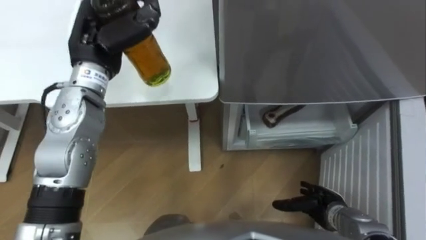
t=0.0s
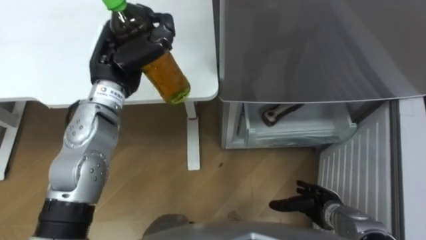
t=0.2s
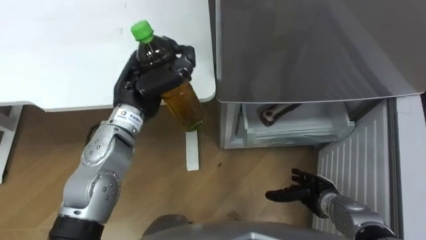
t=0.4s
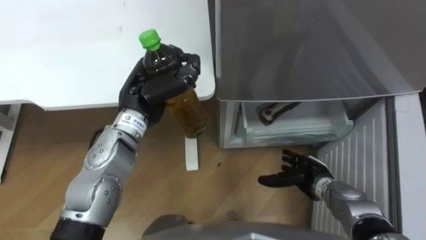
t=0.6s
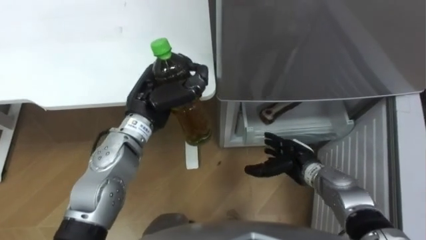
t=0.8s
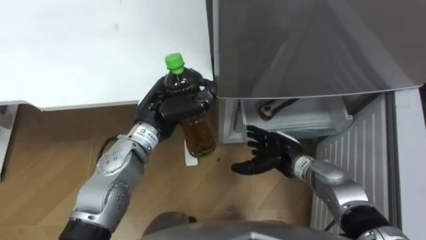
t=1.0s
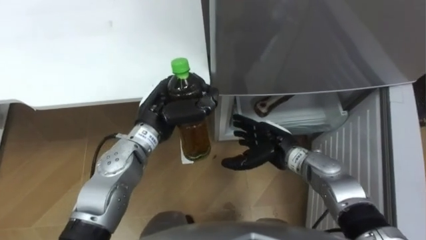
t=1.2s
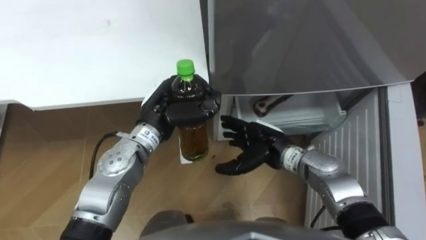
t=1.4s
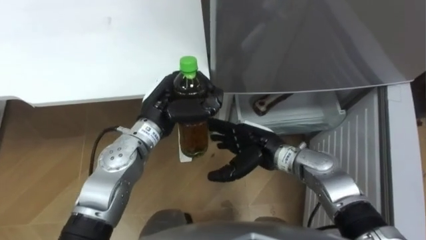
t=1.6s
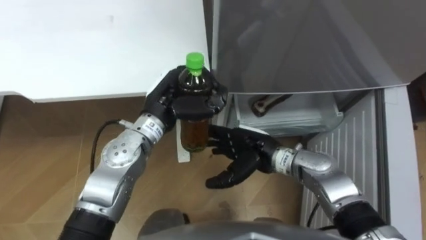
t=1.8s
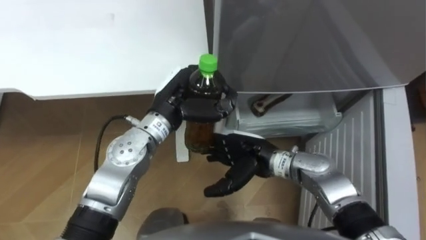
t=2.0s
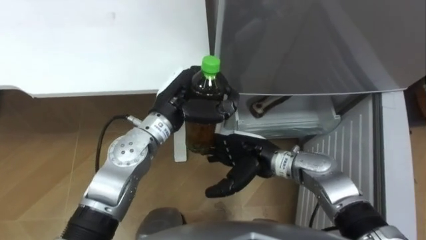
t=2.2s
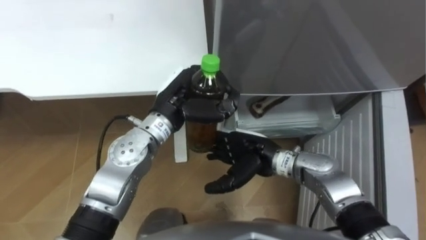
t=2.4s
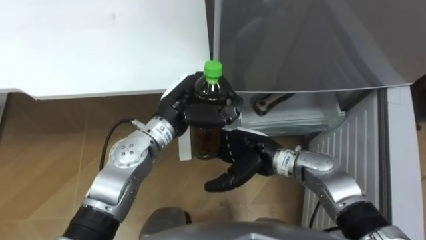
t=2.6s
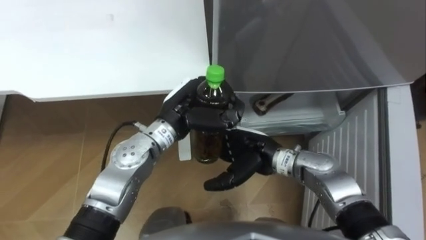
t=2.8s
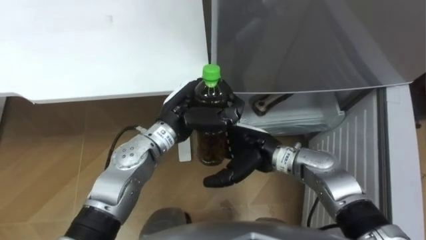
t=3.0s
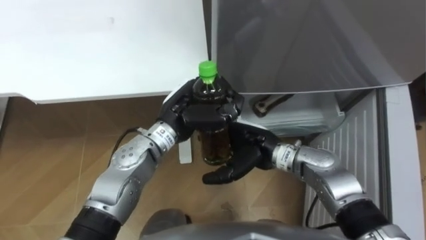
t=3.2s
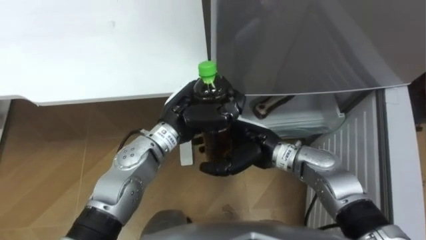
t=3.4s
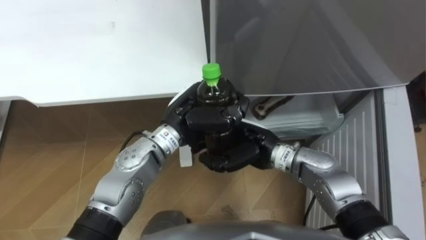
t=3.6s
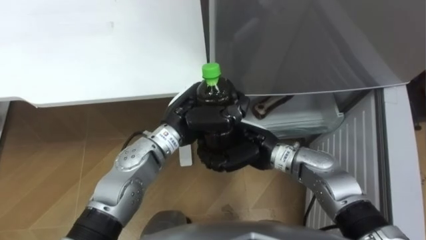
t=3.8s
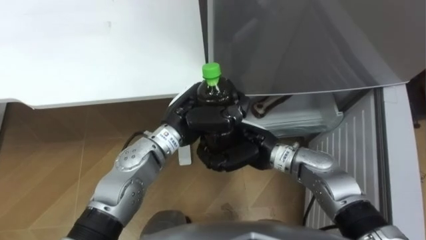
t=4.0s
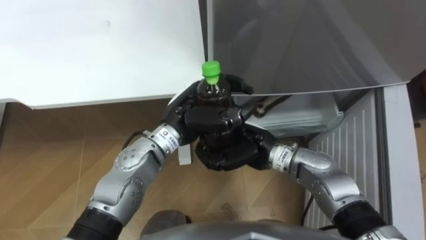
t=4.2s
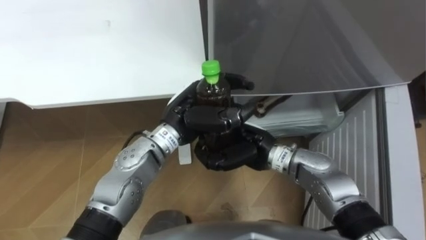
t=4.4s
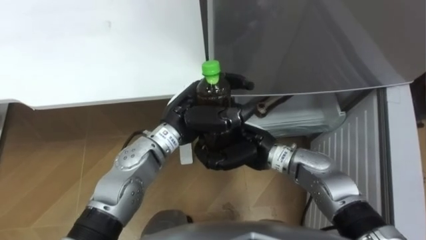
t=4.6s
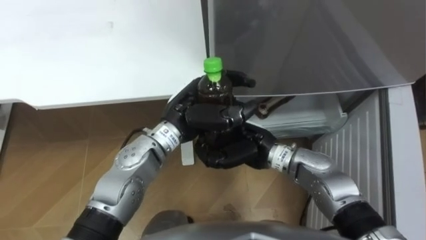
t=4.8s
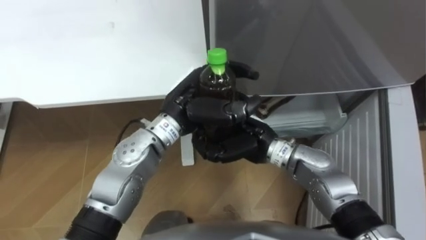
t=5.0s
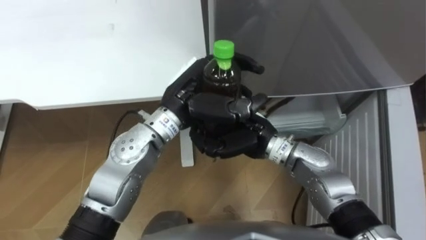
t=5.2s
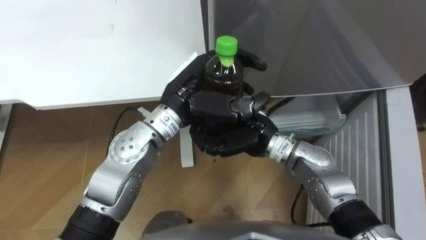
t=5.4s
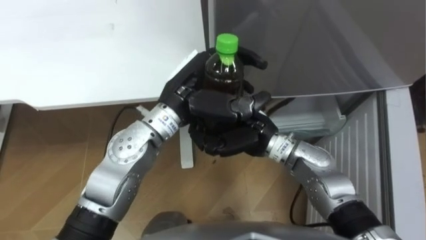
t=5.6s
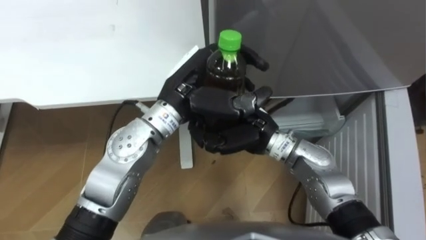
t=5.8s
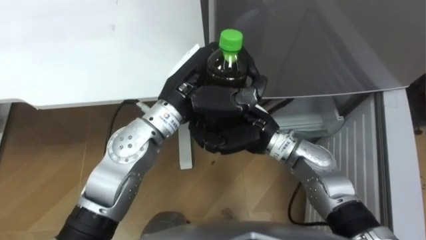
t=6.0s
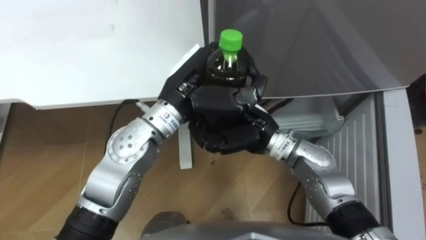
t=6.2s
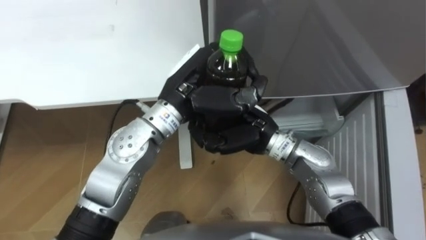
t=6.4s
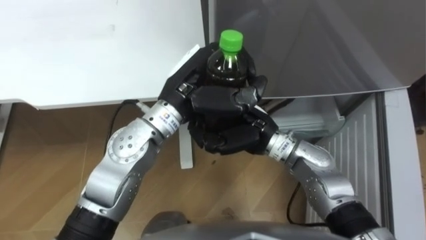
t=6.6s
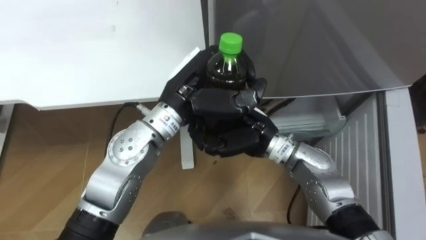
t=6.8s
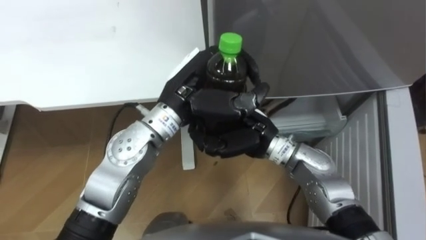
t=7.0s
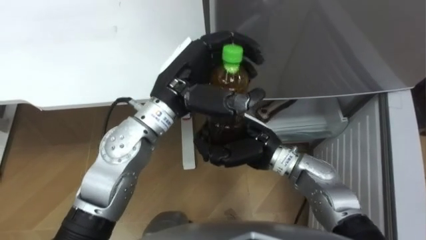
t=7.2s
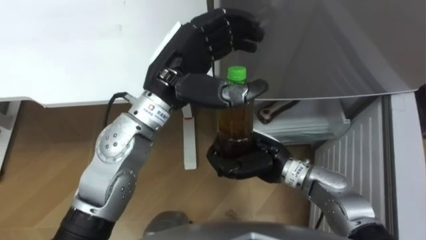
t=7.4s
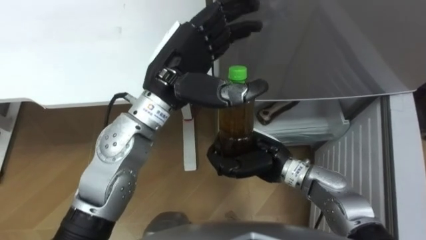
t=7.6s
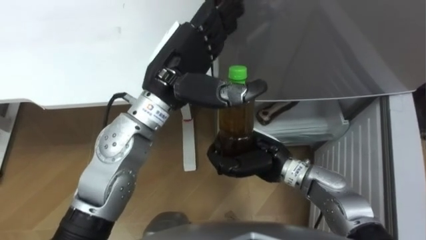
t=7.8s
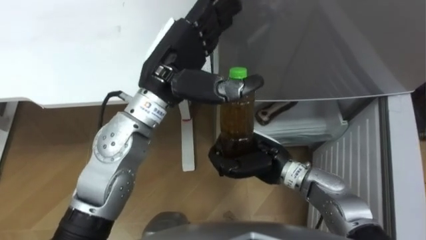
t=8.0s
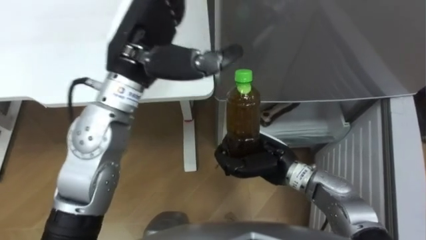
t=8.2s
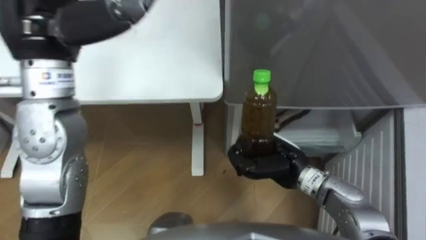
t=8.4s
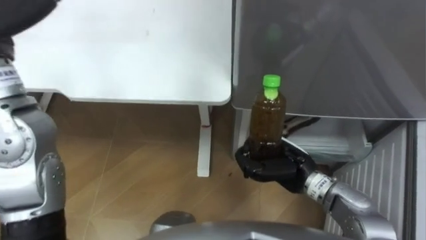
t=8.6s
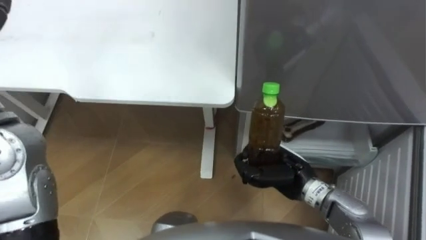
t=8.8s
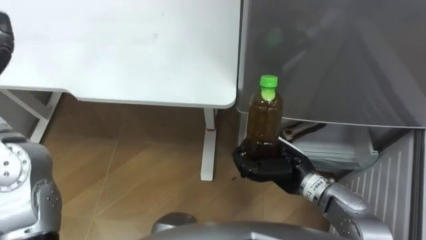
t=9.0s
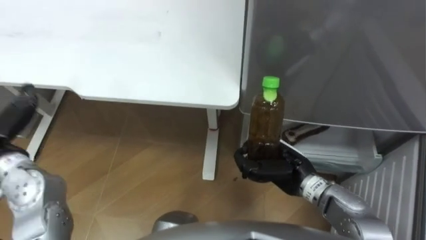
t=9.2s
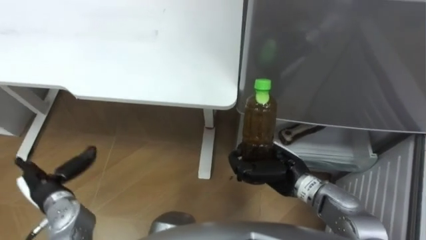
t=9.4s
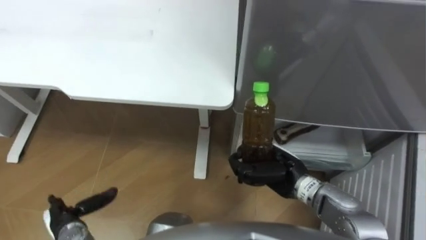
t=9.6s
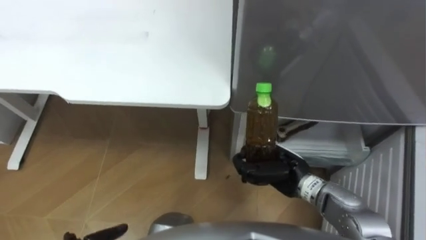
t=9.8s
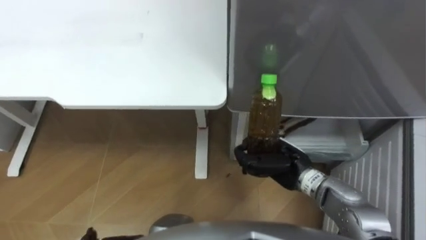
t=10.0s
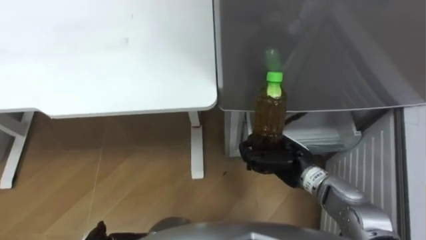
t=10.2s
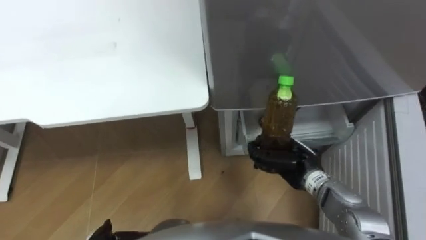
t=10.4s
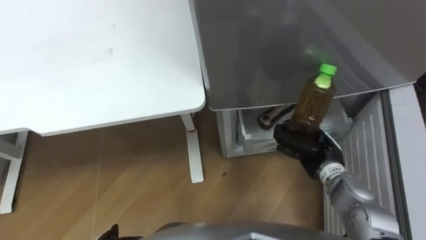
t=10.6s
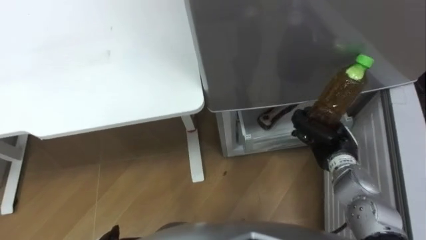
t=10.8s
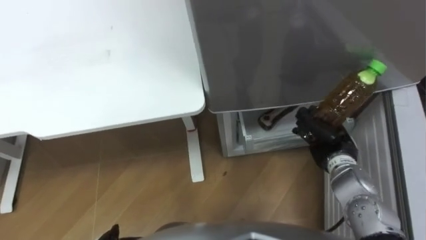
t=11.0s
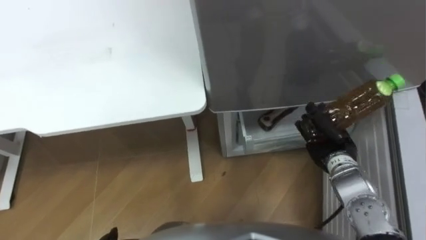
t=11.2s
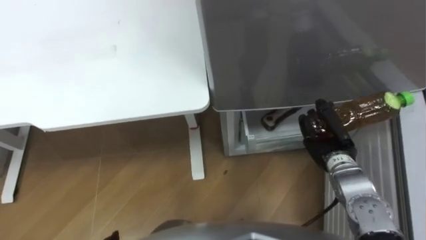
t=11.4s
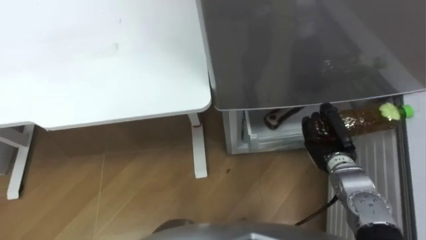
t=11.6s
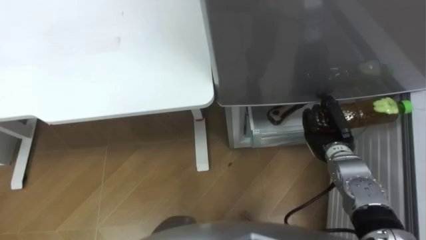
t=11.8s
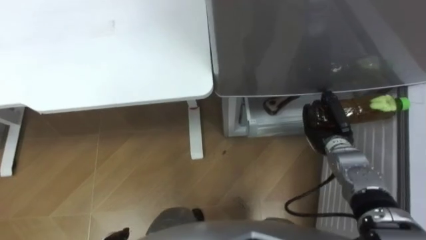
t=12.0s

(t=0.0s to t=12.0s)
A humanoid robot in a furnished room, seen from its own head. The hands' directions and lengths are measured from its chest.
Task of the whole recording: Place the drink on the table on the bottom shelf of the refrigerator, then close the drawer and the refrigerator door.
t=0.0s - t=1.6s: The right hand shifts some 25 cm to the left, upward and forward; the left hand moves downward, to the right and backward, approximately 15 cm.
t=1.6s - t=3.0s: The hands stay close to where they were, moving slightly.
t=3.0s - t=4.4s: The right hand closes.
t=4.4s - t=6.0s: The left hand is displaced upward by some 10 cm. The right hand changes place by some 5 cm.
t=6.0s - t=7.6s: The left hand opens up. The right hand goes some 5 cm downward.
t=7.6s - t=9.0s: The right hand goes roughly 5 cm to the right.
t=10.4s - t=12.0s: The right hand moves to the right and forward, some 10 cm.

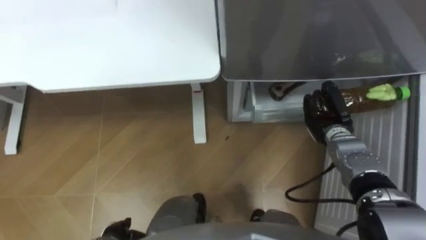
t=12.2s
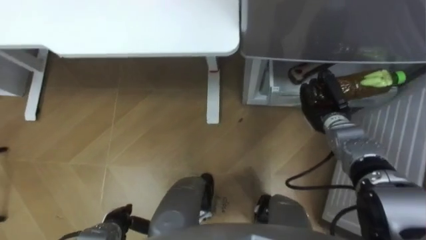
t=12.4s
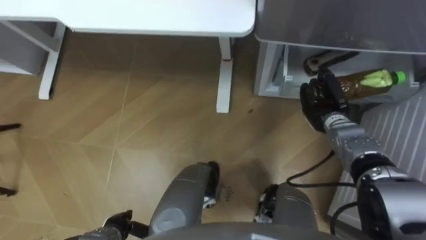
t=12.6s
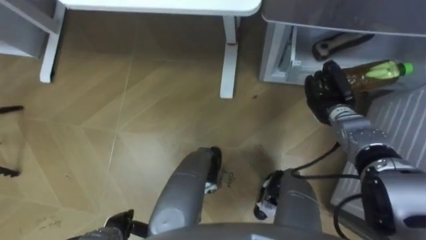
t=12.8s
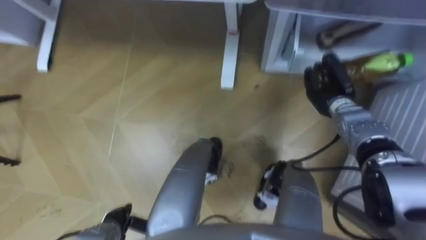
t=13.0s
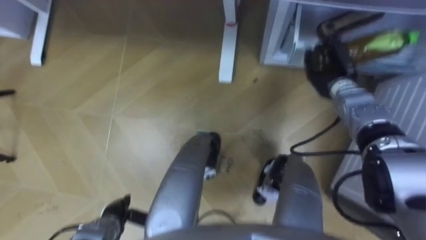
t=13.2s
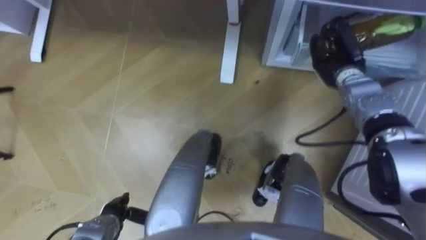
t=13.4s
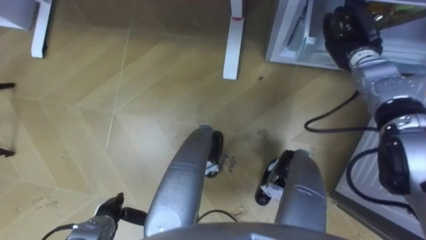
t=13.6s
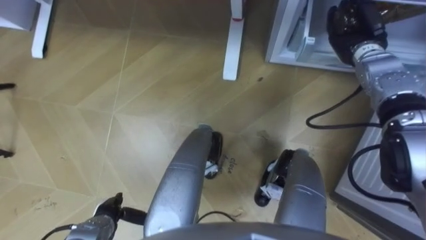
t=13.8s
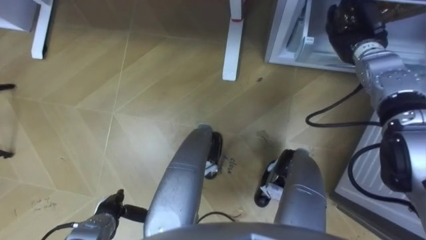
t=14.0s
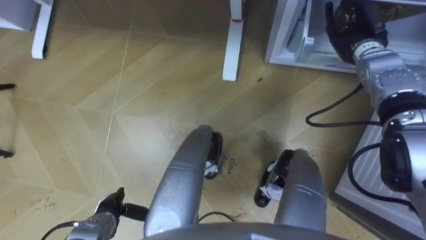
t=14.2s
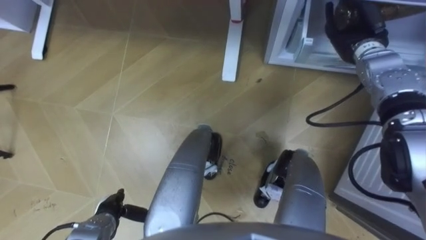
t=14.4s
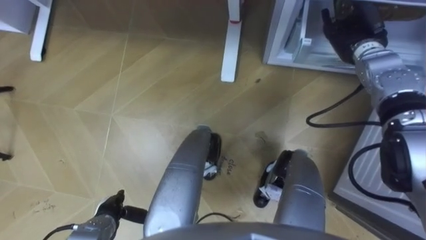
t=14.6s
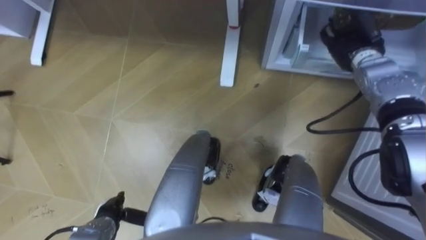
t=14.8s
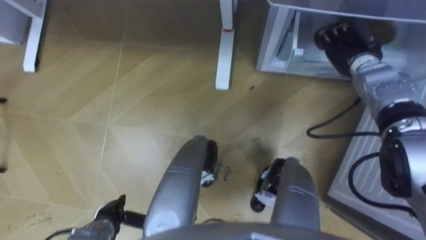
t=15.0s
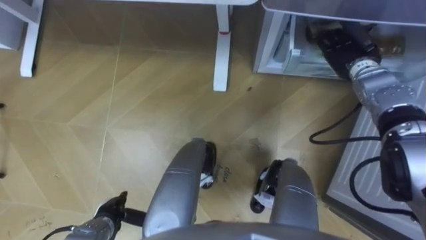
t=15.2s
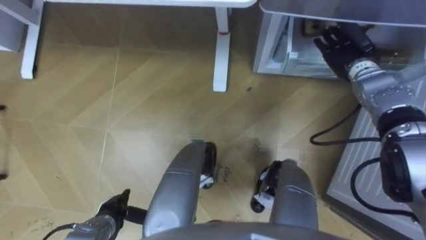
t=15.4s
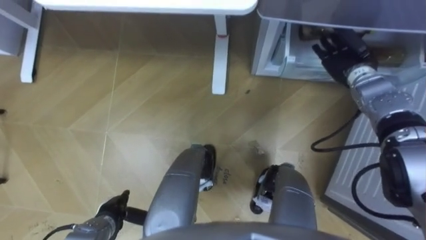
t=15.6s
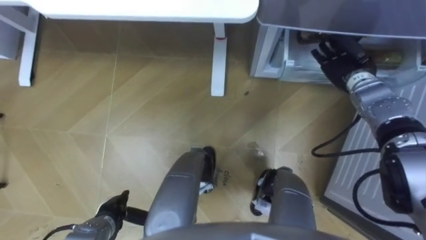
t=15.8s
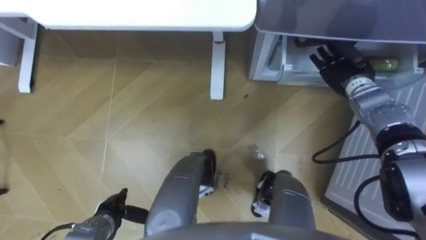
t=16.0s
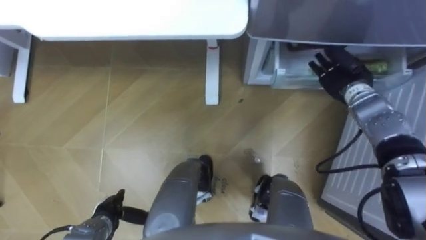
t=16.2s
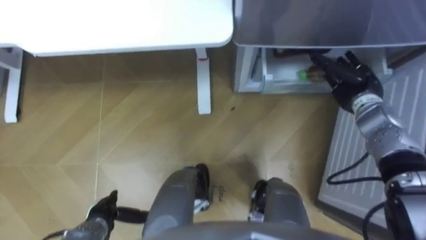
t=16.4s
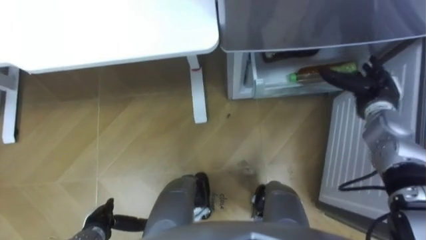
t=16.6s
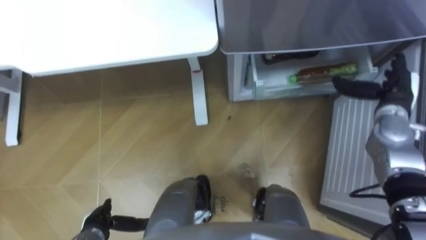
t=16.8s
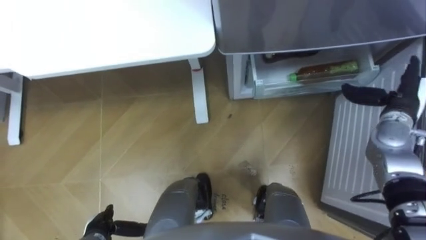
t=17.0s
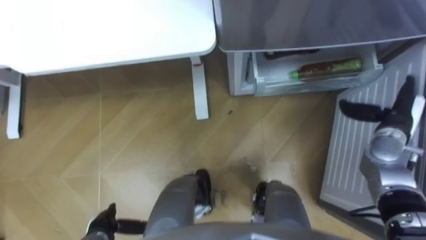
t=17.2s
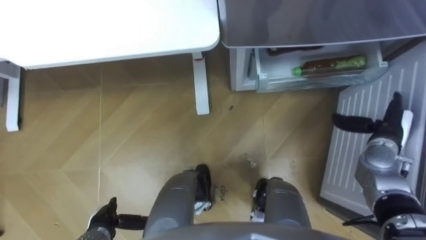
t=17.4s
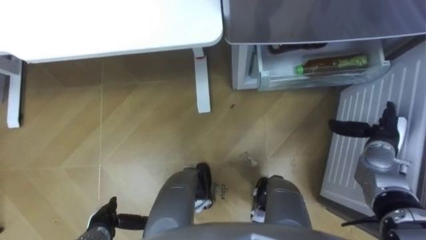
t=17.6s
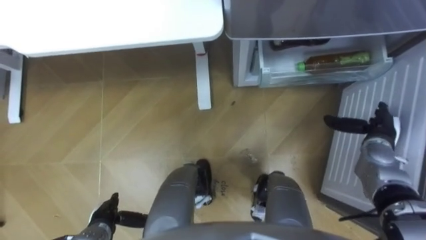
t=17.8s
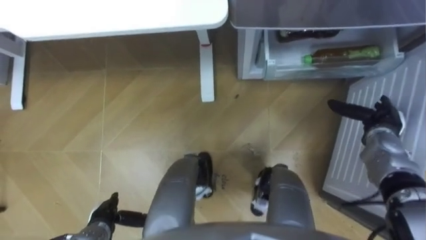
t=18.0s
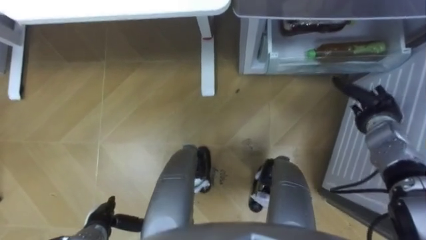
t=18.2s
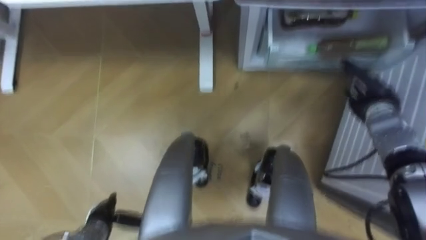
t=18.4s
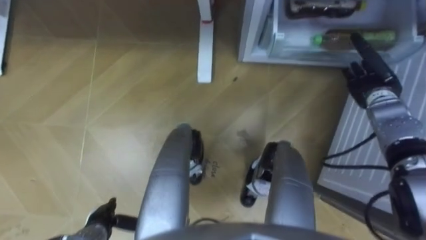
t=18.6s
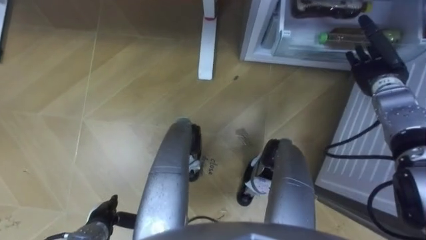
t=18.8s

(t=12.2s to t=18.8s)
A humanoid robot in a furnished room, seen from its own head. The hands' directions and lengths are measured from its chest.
Task of the whole recording: Place the drink on the table on the bottom shelf of the refrigerator, then close the drawer and the refrigerator door.
t=12.2s - t=13.8s: The right hand moves upward and forward, about 20 cm.
t=13.8s - t=15.4s: The right hand opens.
t=15.4s - t=17.2s: The right hand moves backward and to the right, approximately 15 cm.
t=17.2s - t=18.8s: The right hand moves forward, about 10 cm.
